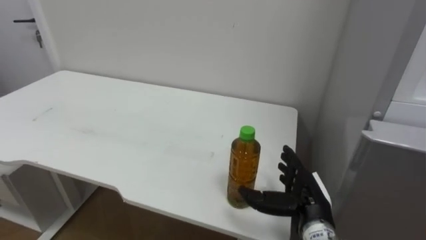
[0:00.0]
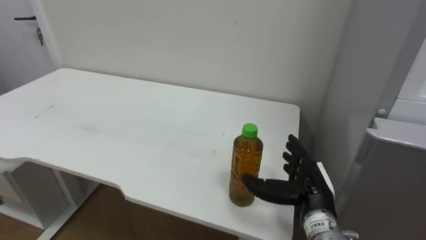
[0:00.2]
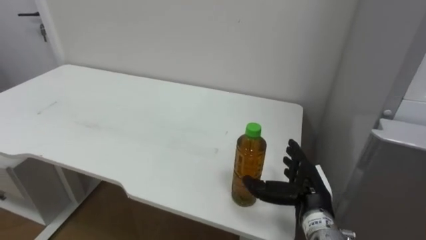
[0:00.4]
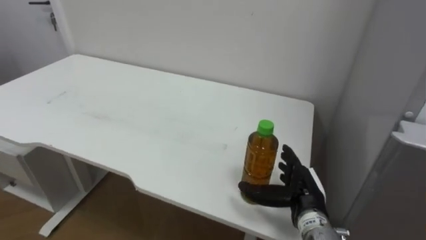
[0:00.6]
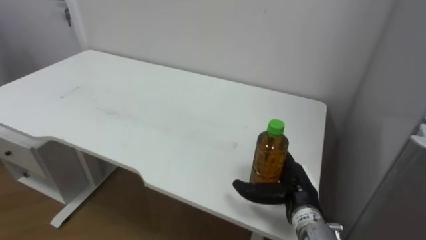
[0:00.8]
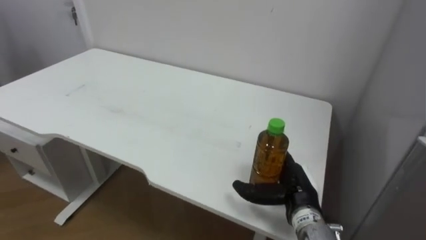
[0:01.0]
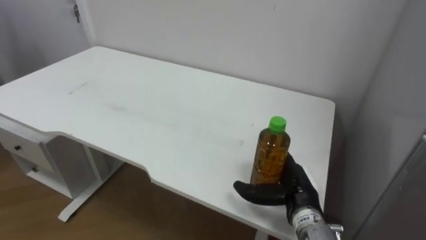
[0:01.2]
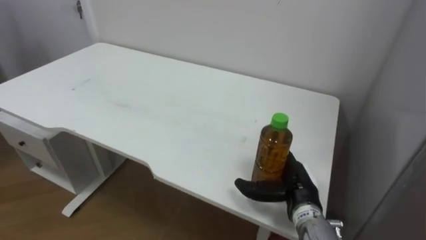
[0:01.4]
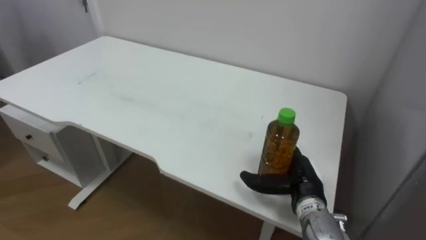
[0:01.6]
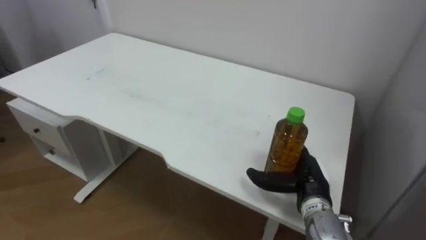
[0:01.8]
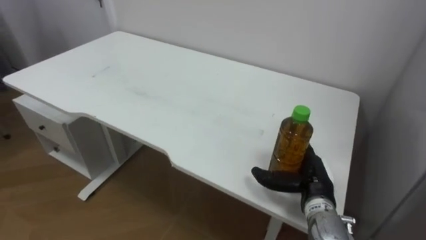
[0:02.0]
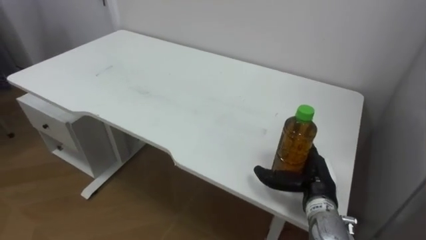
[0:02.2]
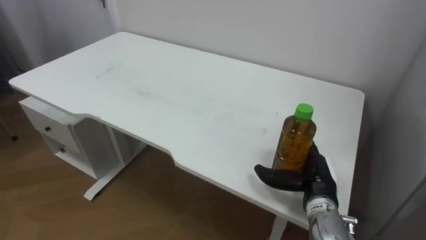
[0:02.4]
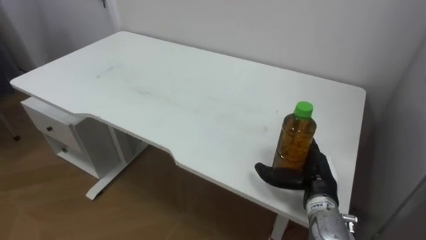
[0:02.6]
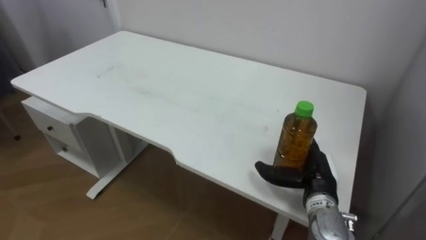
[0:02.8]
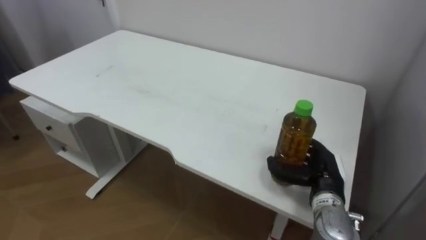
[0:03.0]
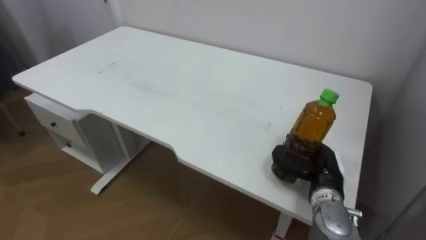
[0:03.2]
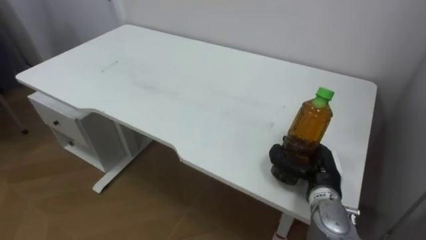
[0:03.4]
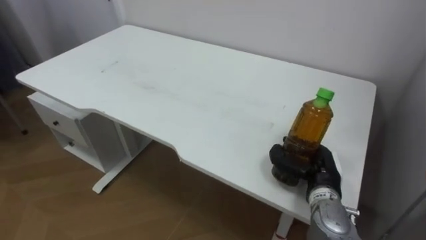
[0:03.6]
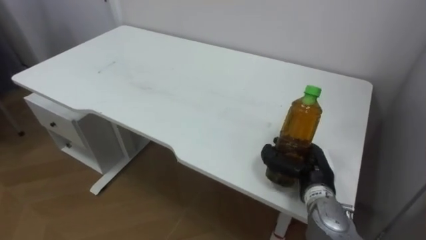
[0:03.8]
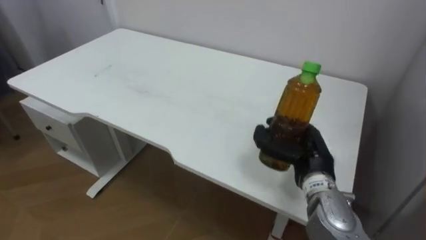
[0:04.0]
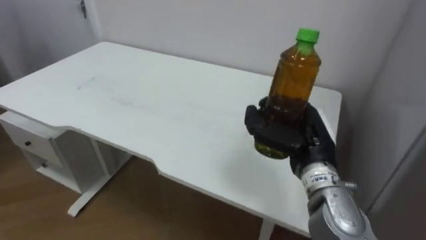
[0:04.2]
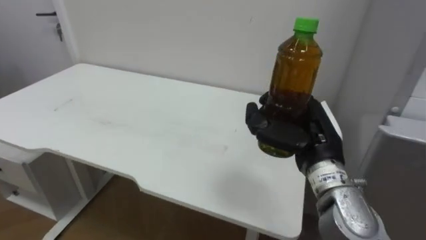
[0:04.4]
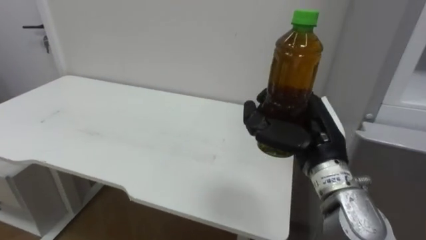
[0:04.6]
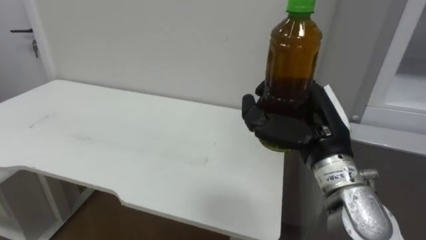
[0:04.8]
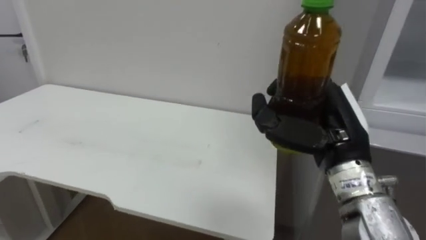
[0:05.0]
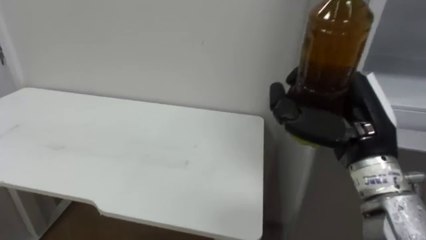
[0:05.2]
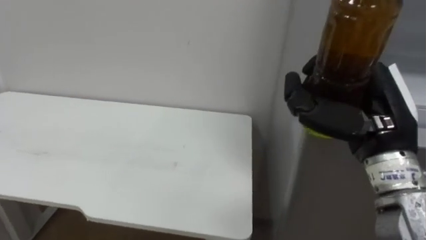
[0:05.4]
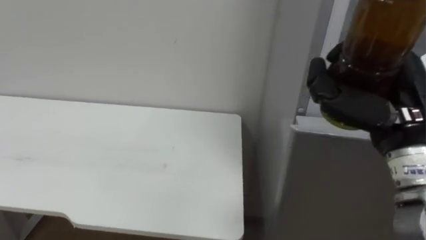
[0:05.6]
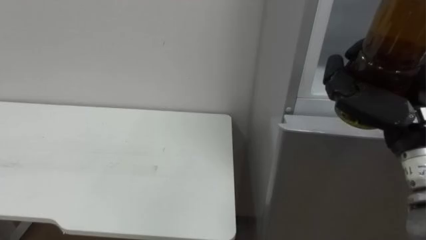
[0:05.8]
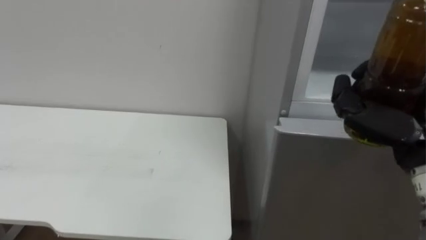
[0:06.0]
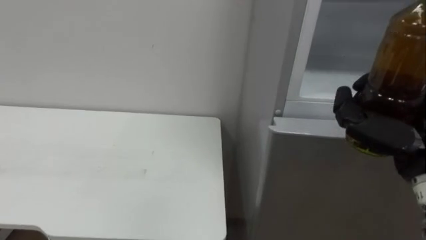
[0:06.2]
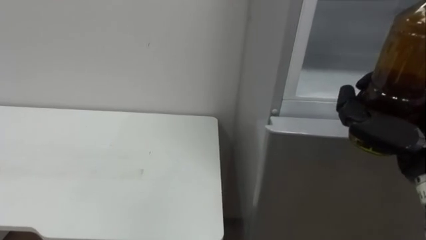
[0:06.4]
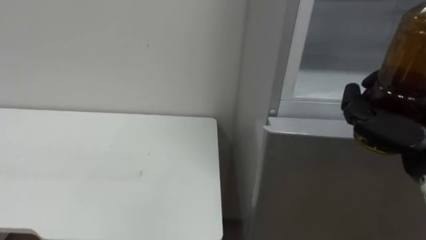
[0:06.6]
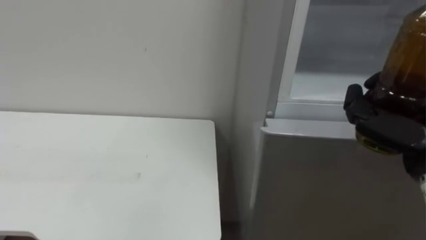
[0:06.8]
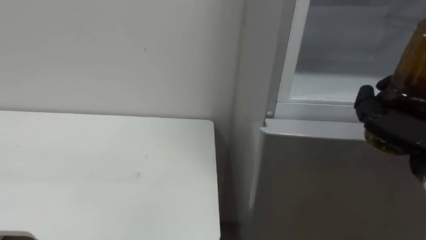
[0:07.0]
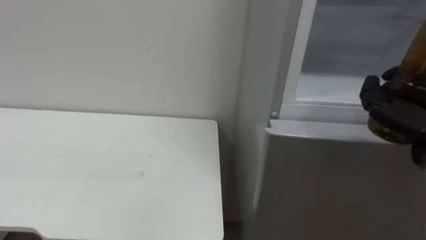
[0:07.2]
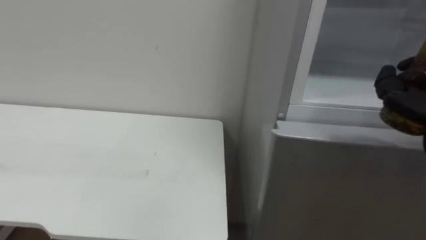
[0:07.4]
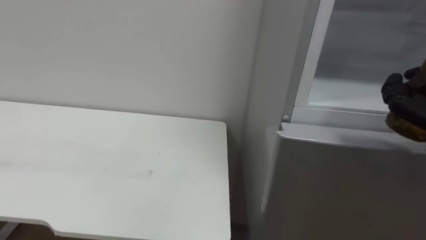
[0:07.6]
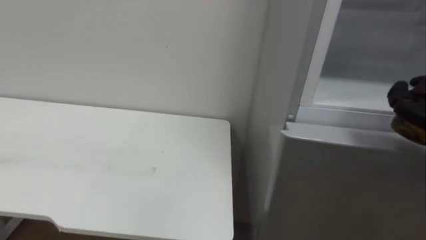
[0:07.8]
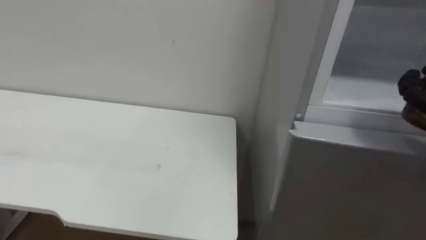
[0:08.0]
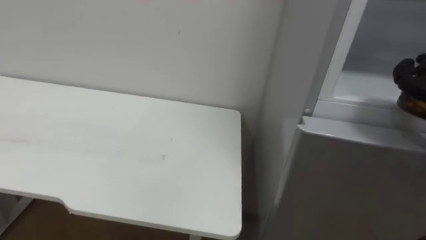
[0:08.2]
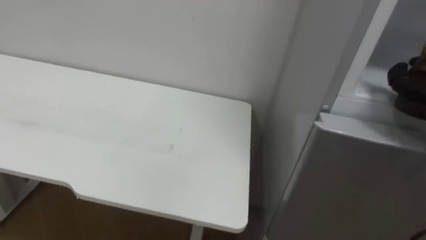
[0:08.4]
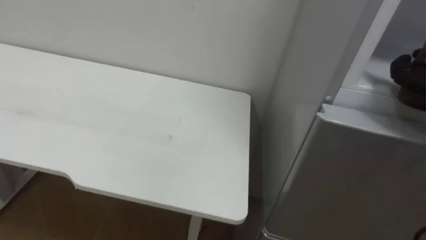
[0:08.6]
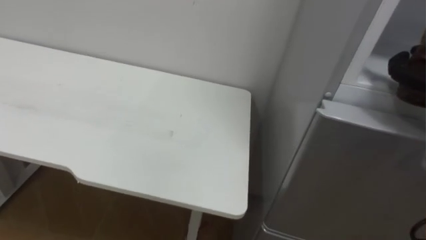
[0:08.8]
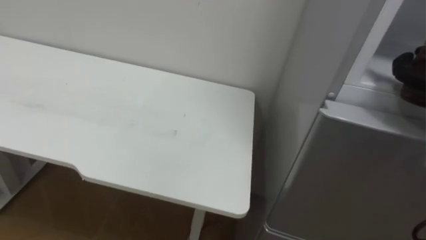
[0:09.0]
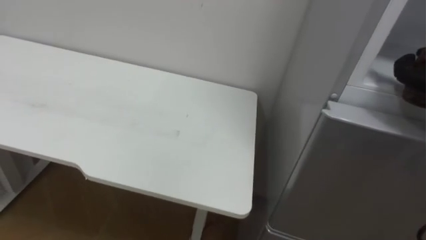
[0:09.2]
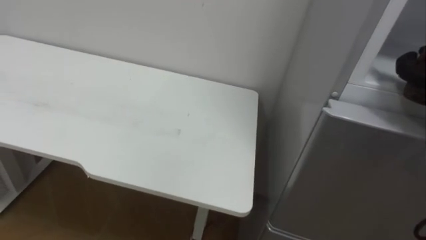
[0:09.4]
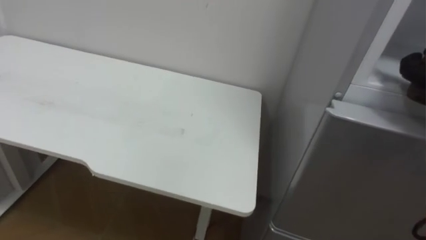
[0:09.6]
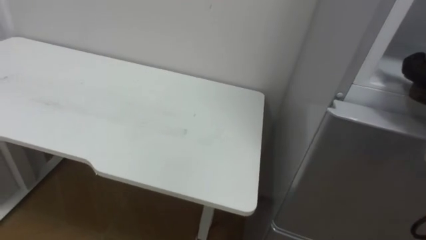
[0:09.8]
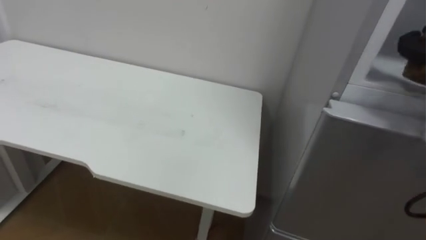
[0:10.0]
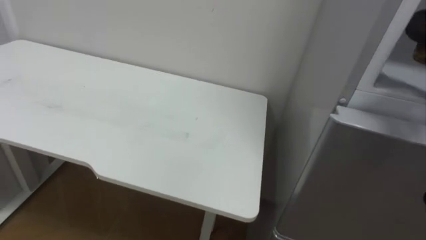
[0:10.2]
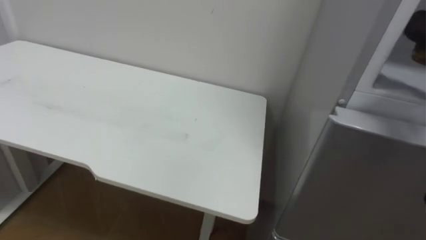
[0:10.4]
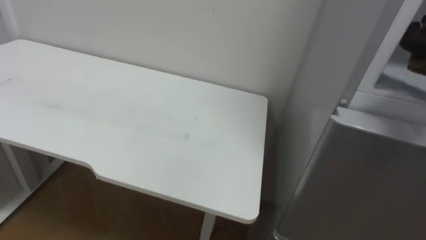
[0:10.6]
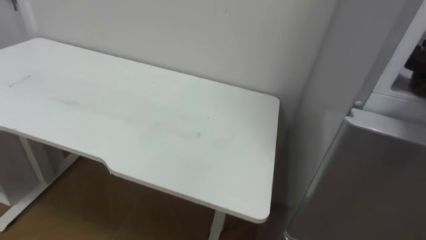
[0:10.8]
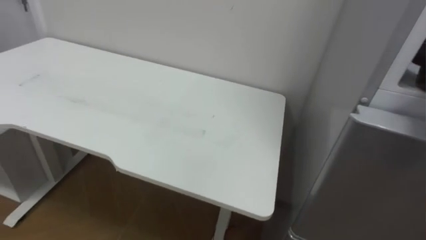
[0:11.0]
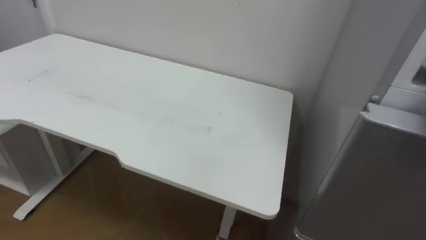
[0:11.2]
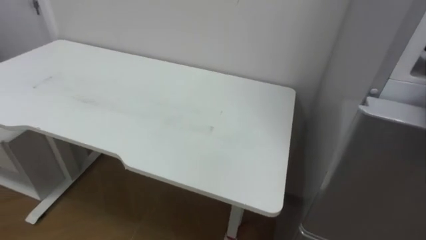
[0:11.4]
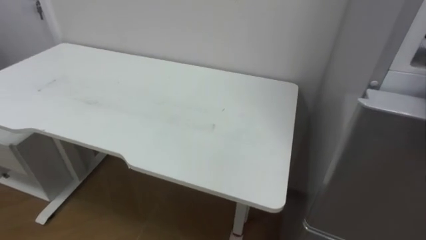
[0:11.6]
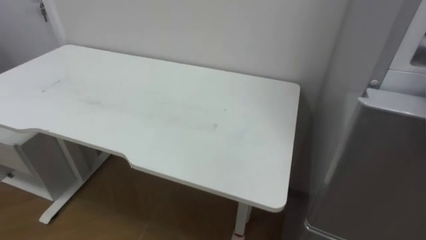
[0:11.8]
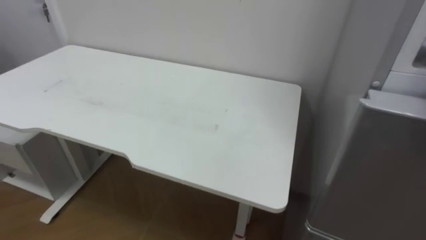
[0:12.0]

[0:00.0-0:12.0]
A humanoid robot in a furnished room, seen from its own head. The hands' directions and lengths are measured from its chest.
Task of the whole recording: Open the upper refrigerator door, put the drink from the table into the refrigerator, and then close the refrigerator door.
0:03.0 to 0:04.4: The right hand heads upward, covering roughly 10 cm, and closes.
0:04.4 to 0:06.0: The right hand shifts approximately 15 cm to the right, backward and upward.

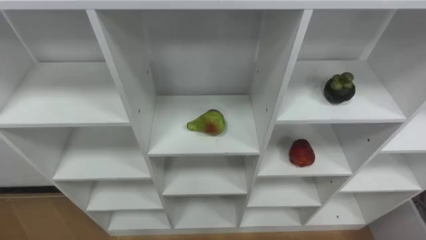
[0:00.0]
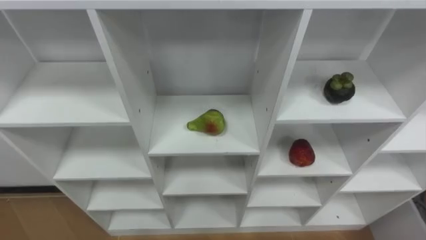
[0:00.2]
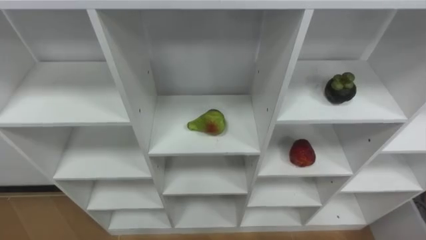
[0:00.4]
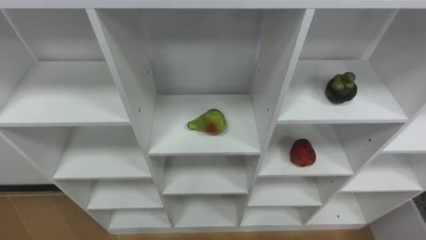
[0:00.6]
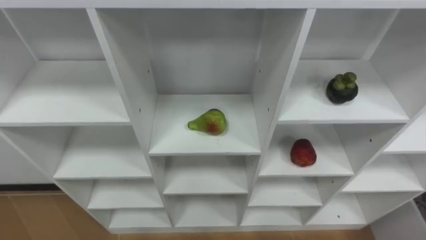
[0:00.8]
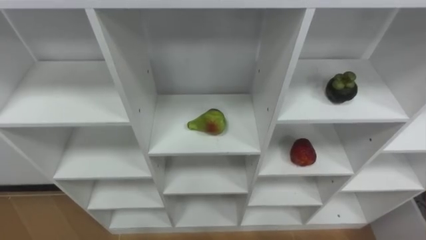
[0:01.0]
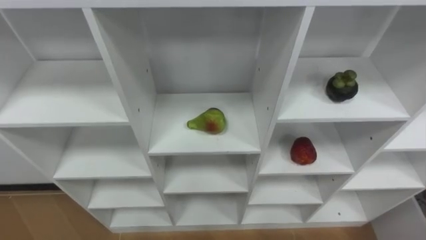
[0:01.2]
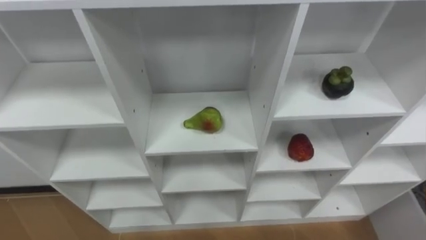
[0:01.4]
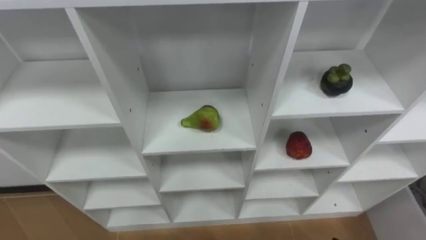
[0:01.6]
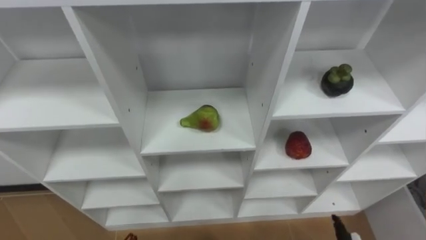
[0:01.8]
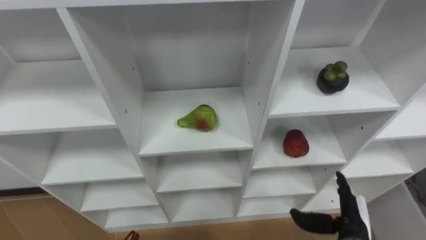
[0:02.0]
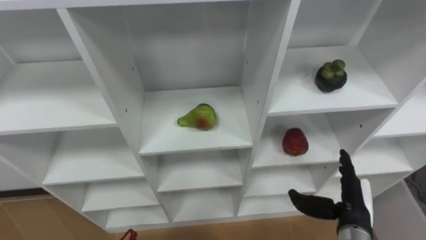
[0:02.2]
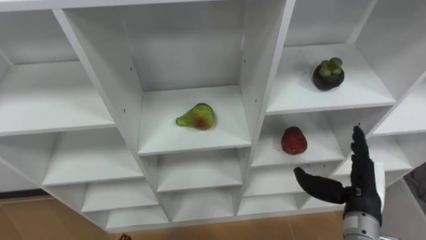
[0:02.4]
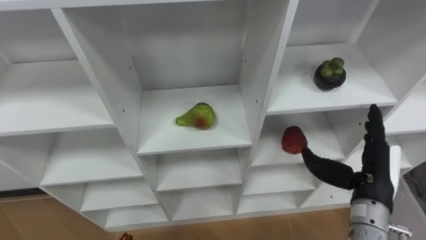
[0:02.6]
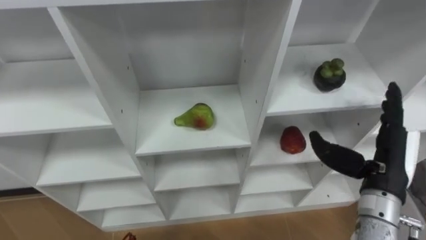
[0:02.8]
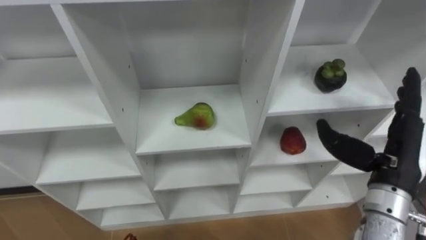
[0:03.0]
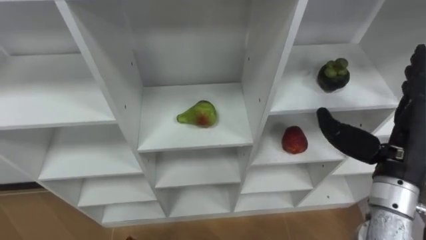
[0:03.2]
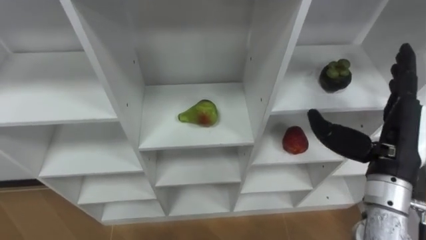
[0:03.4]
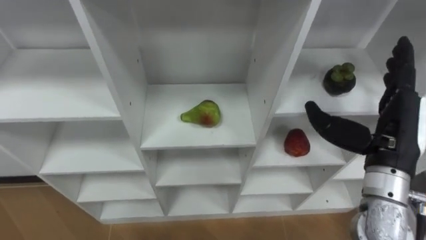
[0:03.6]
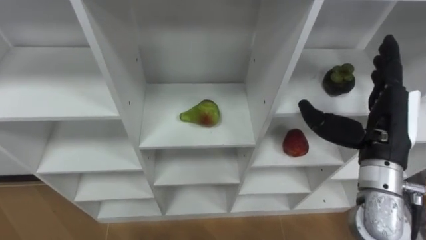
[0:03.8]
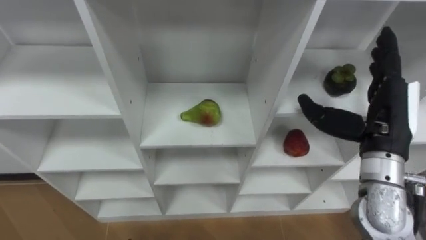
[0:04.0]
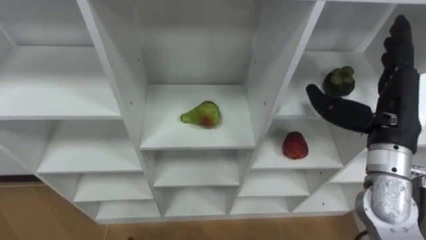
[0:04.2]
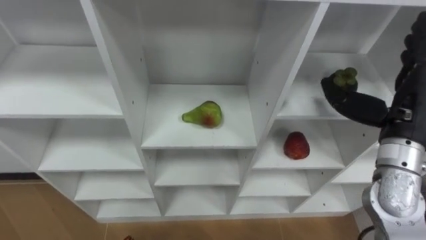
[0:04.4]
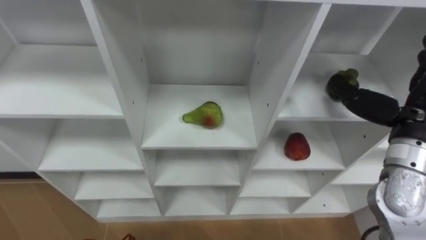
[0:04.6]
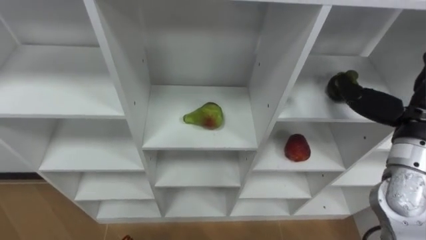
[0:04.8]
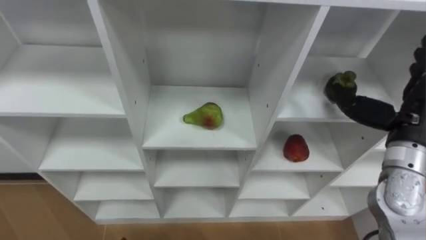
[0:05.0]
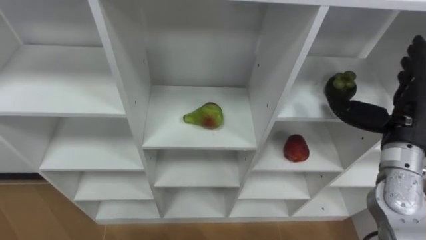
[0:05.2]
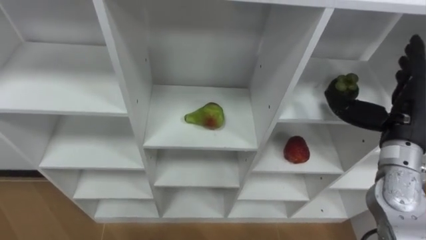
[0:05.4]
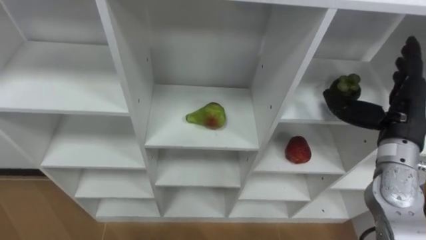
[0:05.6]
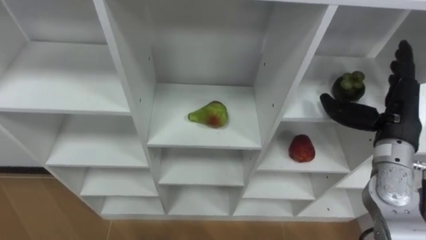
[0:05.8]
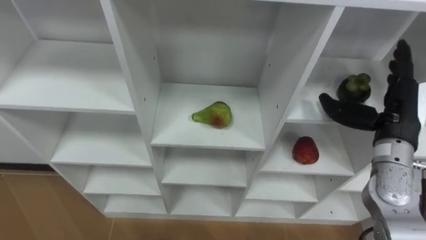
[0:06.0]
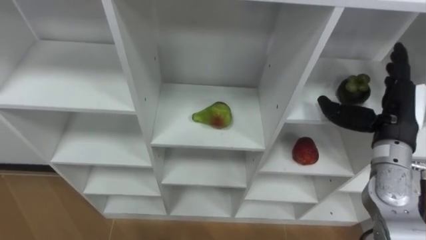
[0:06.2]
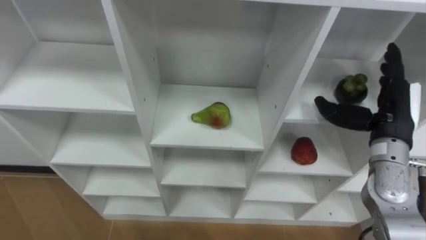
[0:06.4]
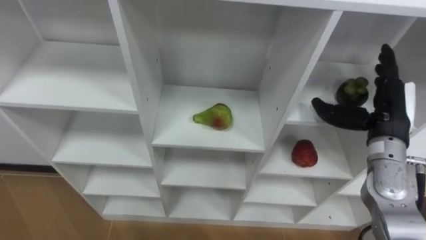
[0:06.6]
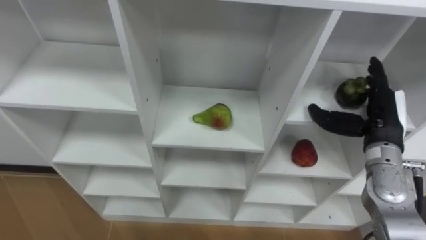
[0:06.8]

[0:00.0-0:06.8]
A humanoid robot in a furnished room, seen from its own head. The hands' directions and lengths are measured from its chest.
Task of the whole recording: Hold the basket and collect the fruits from 3 different cells of the closet into it.
0:02.8 to 0:04.0: The right hand is displaced upward by some 5 cm.
0:04.0 to 0:05.4: The right hand moves approximately 5 cm.
0:05.4 to 0:06.8: The right hand ends up about 5 cm from where it was.
